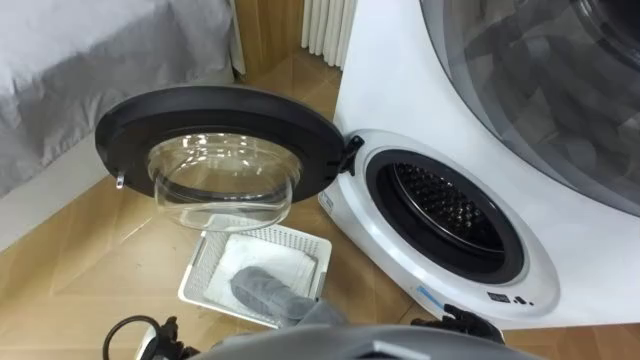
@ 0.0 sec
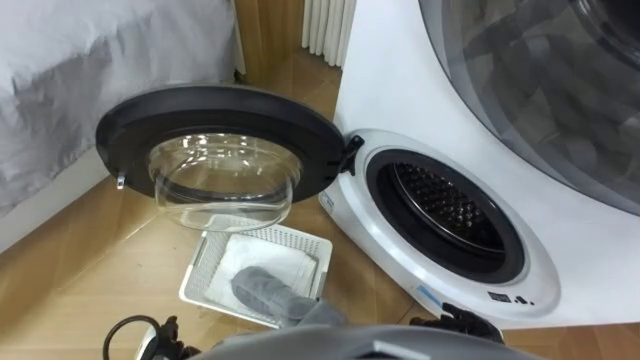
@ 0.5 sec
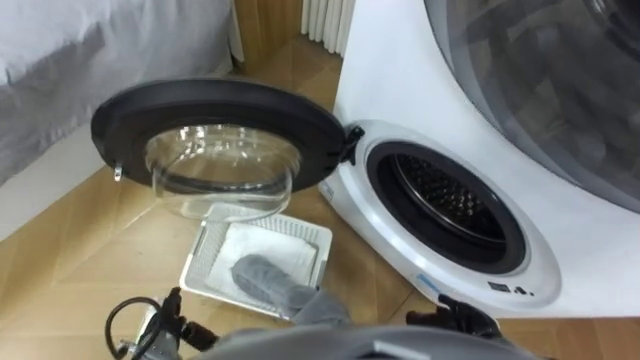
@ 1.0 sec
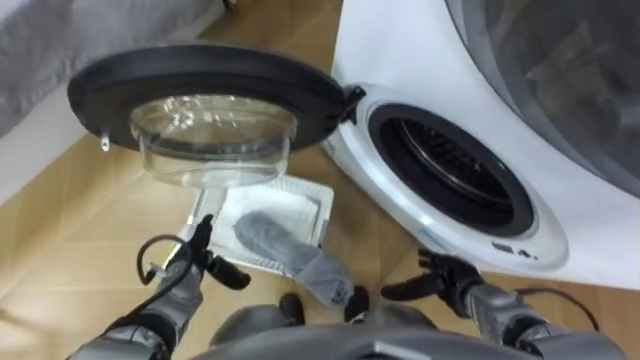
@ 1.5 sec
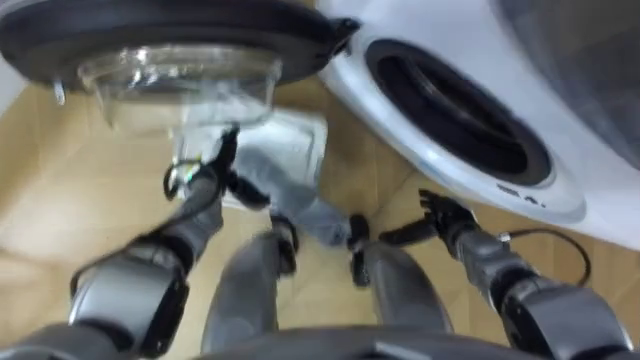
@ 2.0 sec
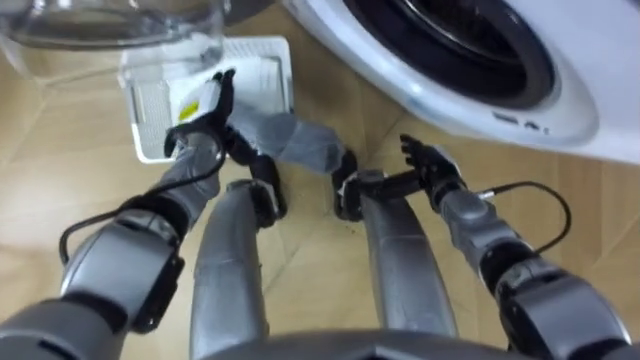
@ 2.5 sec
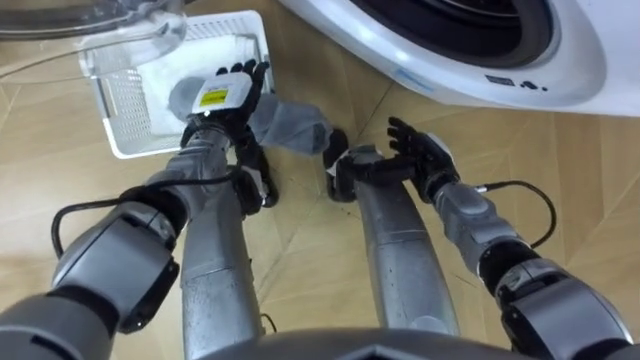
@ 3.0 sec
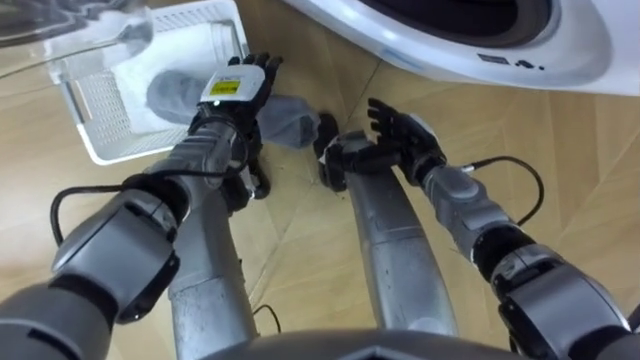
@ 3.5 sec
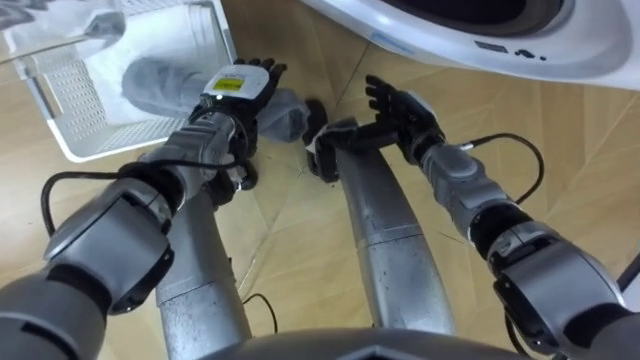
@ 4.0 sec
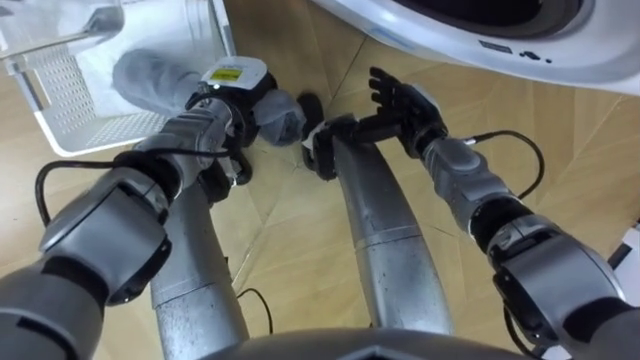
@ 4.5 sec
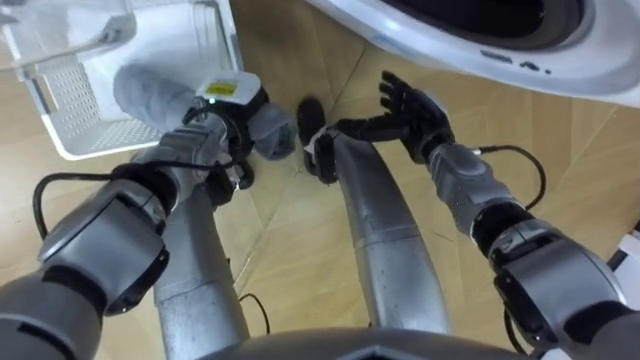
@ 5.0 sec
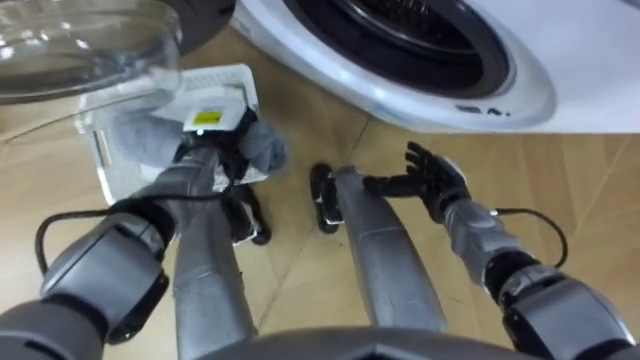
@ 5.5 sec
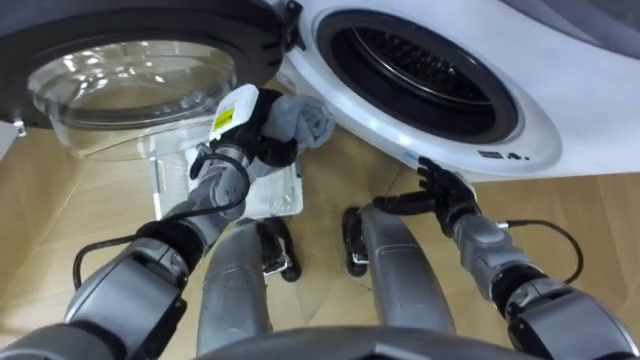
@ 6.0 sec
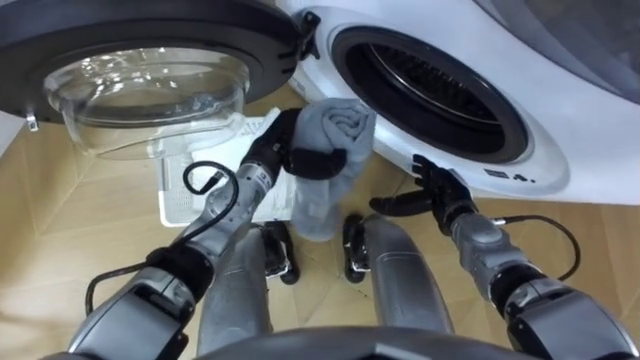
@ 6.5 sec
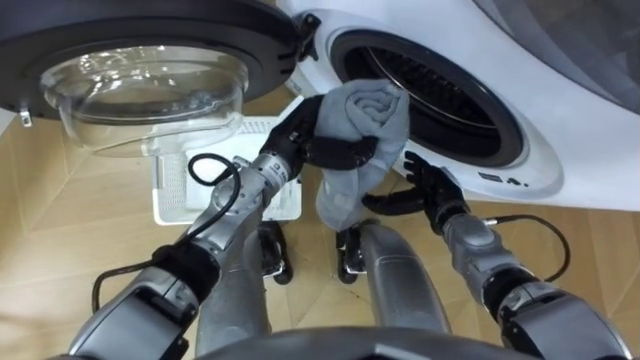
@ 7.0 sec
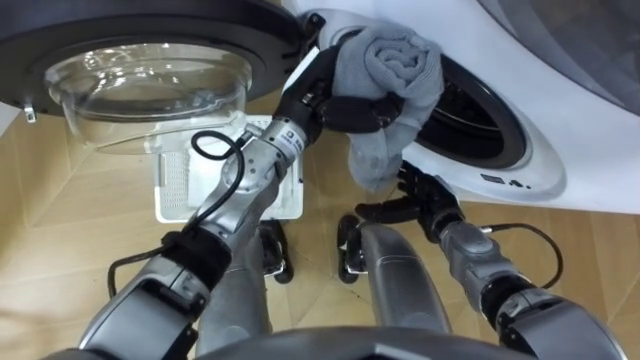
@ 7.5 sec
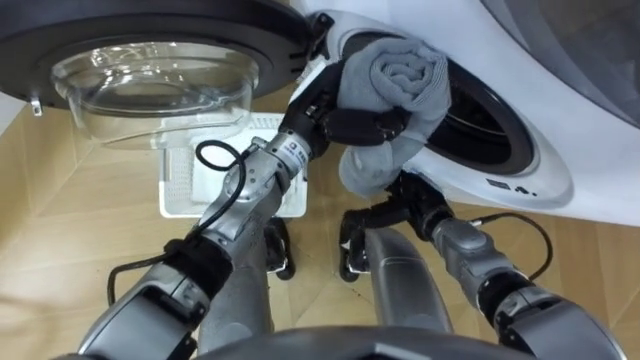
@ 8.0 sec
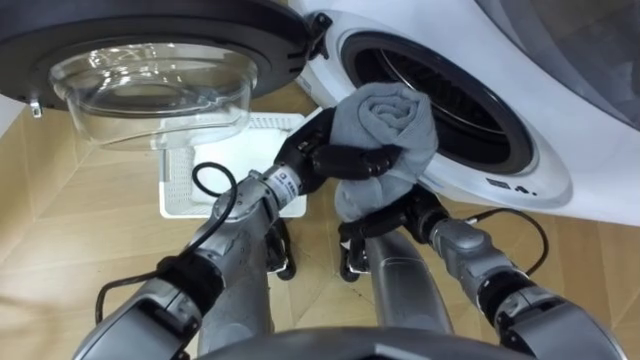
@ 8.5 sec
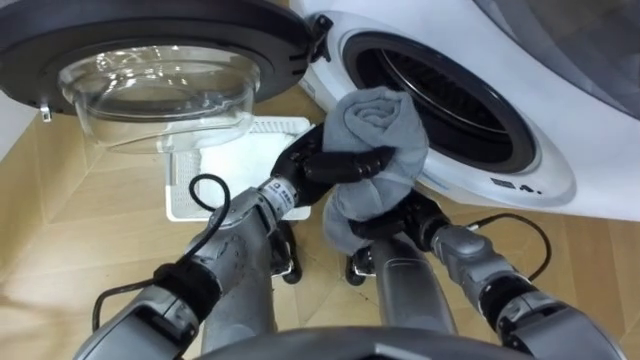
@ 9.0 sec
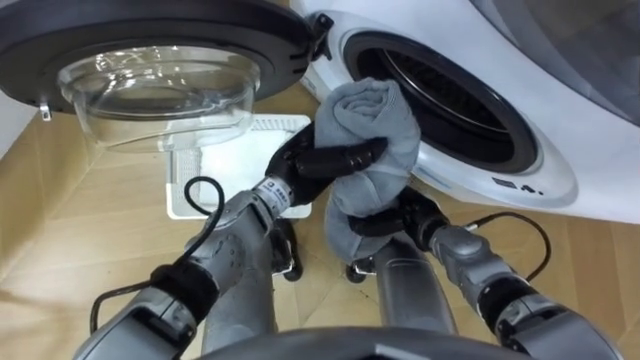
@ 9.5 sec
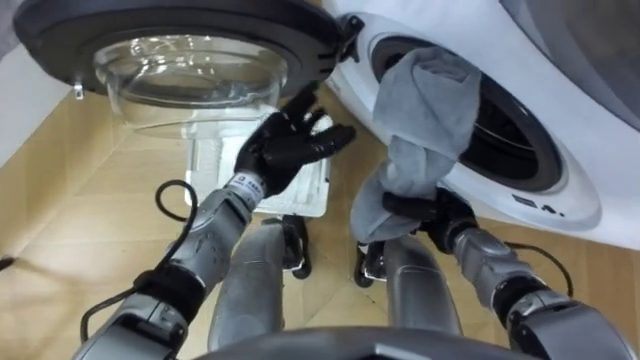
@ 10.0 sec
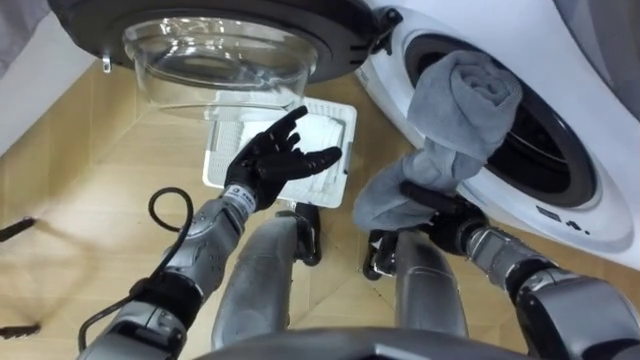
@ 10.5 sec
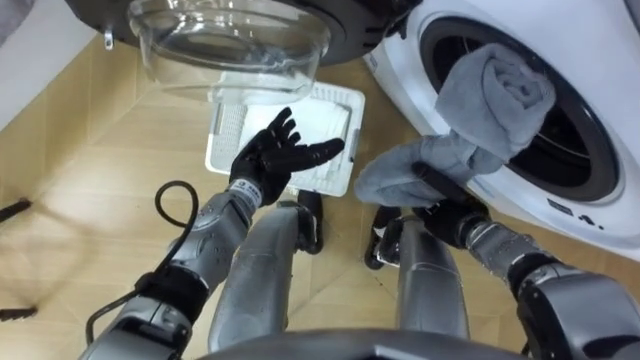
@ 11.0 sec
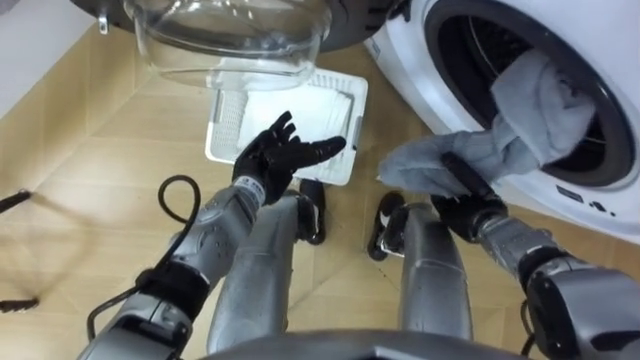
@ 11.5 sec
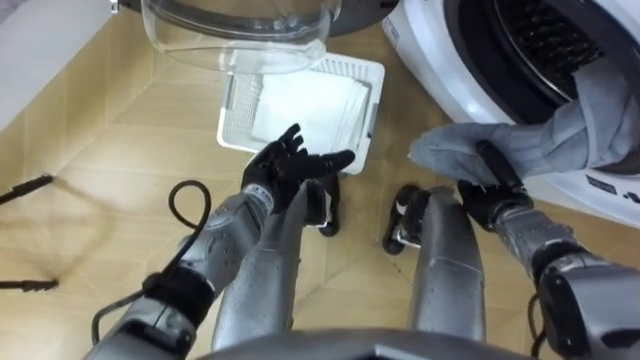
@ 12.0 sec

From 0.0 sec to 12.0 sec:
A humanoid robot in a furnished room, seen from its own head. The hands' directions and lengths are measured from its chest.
Task of the whole recording: Take the towel from the basket and put it into the washing machine.
From 2.0 sec to 4.0 sec: The left hand is displaced upward, forward and to the right by about 10 cm. The right hand travels forward, upward and to the left by some 20 cm.
From 4.0 sec to 6.0 sec: The left hand closes. The right hand shifts roughly 15 cm backward, downward and to the right.
From 6.0 sec to 8.0 sec: The left hand heads to the right and upward, covering about 15 cm.
From 8.0 sec to 10.0 sec: The right hand shifts by about 5 cm, and closes its fingers, while the left hand is displaced downward and to the left by some 10 cm, and opens.
From 10.0 sec to 12.0 sec: The right hand shifts about 10 cm to the right.

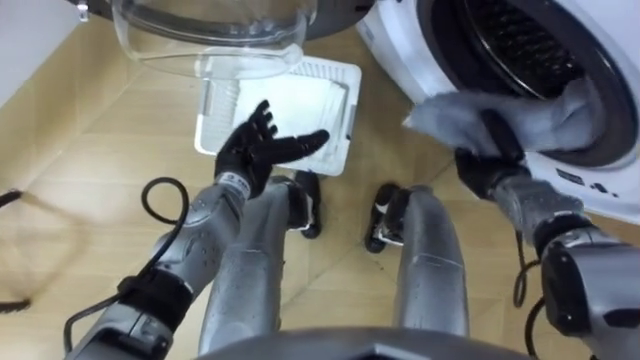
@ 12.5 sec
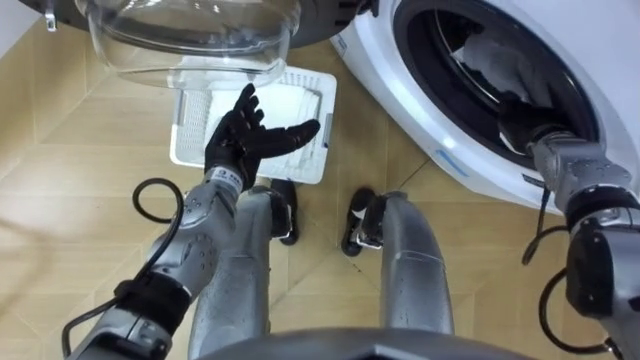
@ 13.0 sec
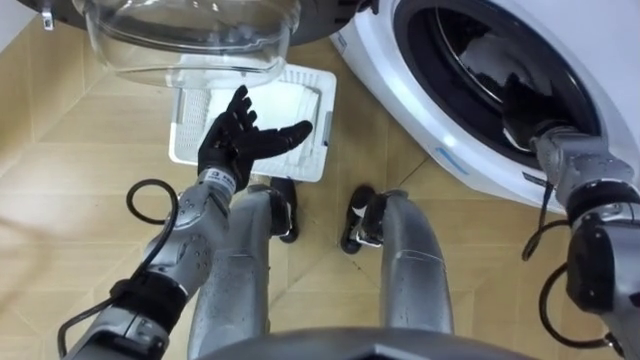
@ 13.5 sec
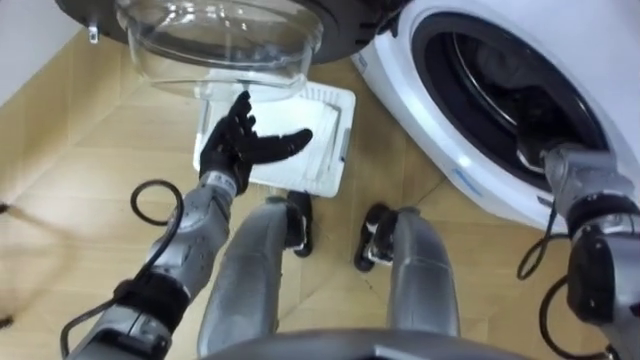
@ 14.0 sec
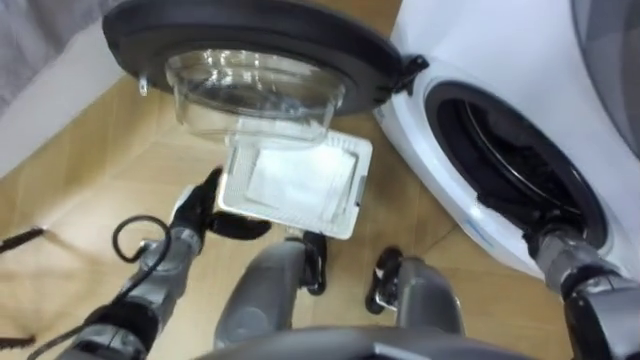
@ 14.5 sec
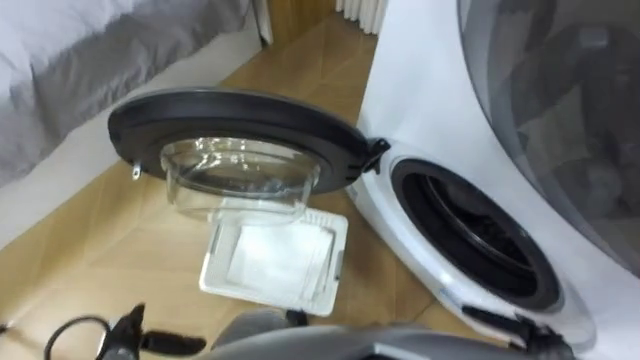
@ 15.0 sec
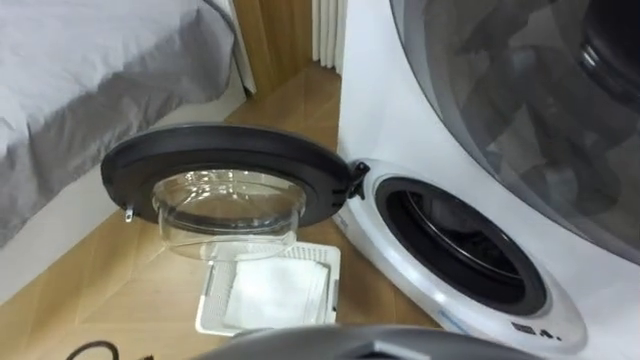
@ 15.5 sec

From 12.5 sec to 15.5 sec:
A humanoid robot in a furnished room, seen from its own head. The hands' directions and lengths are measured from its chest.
Task of the whole recording: Take the towel from the basket and put it into the washing machine.
From 12.5 sec to 14.0 sec: The right hand shifts roughly 5 cm to the right, and opens up.

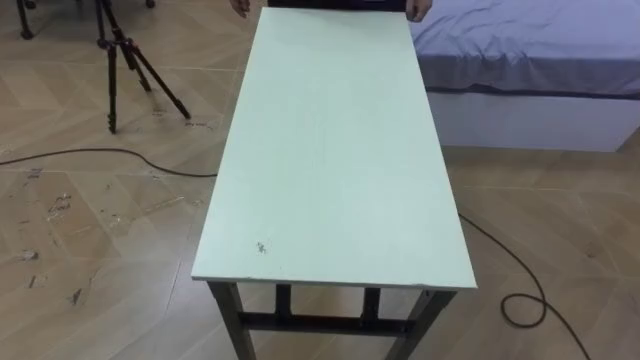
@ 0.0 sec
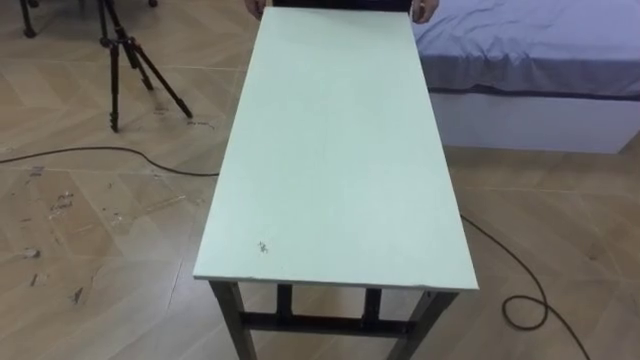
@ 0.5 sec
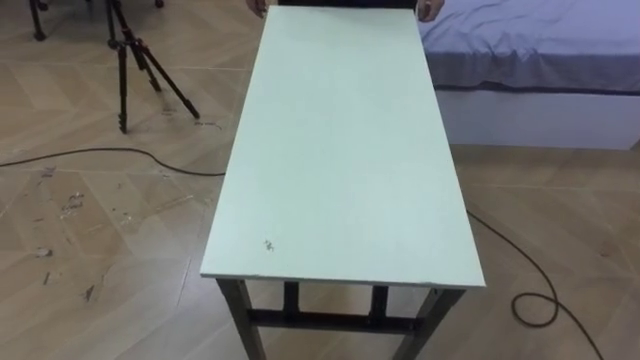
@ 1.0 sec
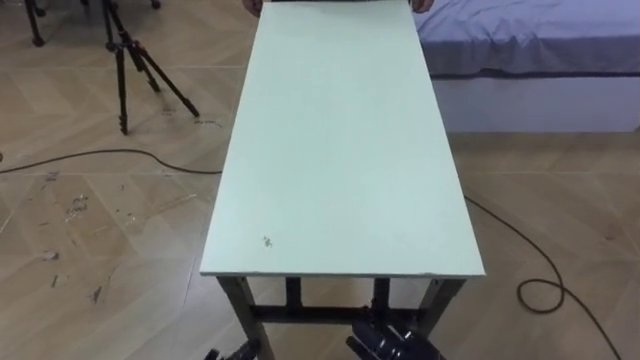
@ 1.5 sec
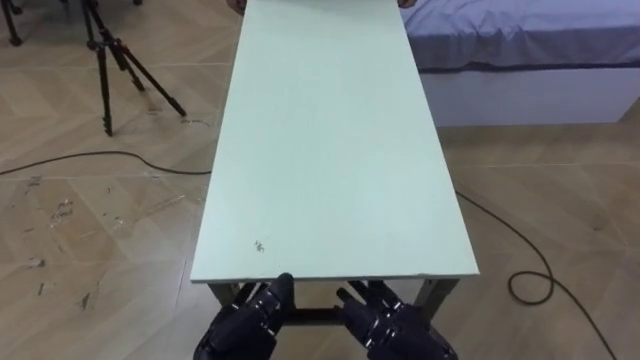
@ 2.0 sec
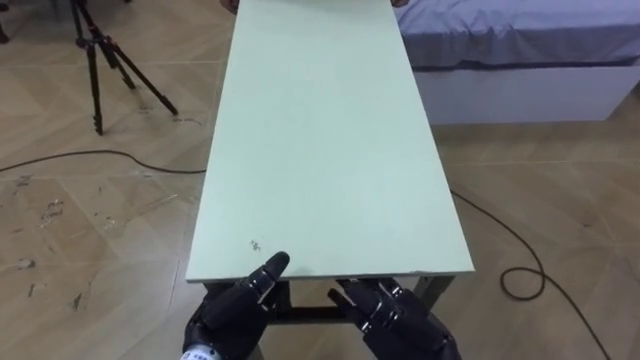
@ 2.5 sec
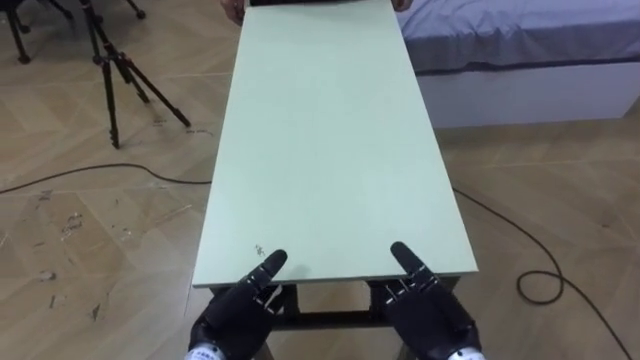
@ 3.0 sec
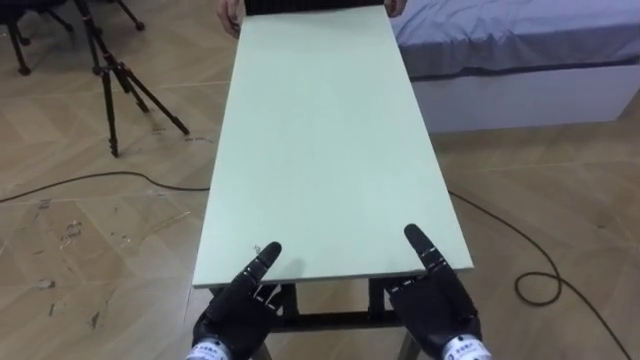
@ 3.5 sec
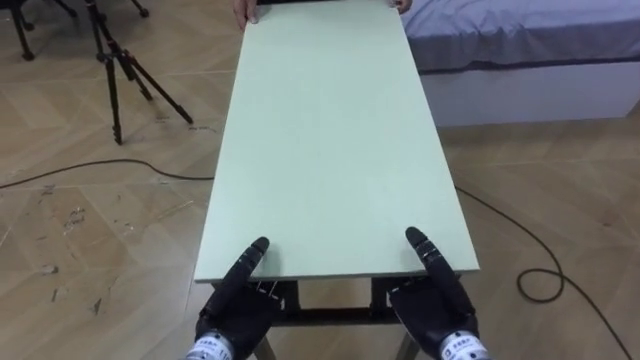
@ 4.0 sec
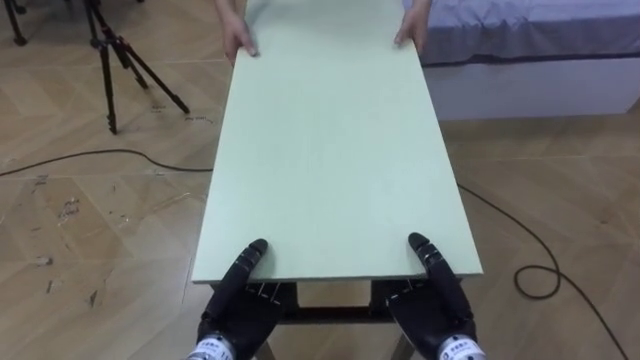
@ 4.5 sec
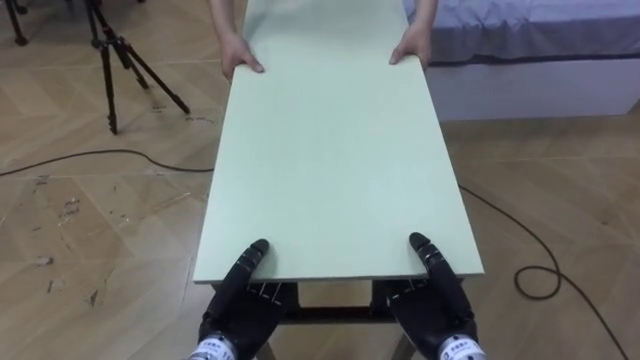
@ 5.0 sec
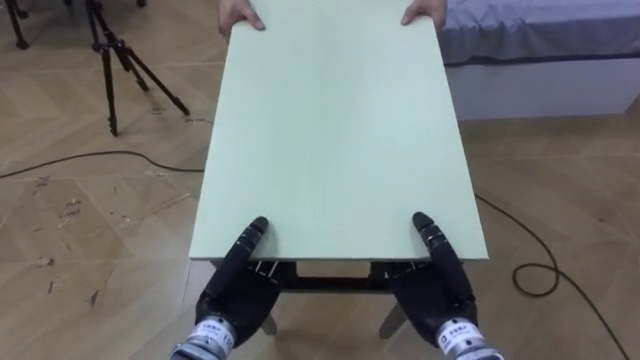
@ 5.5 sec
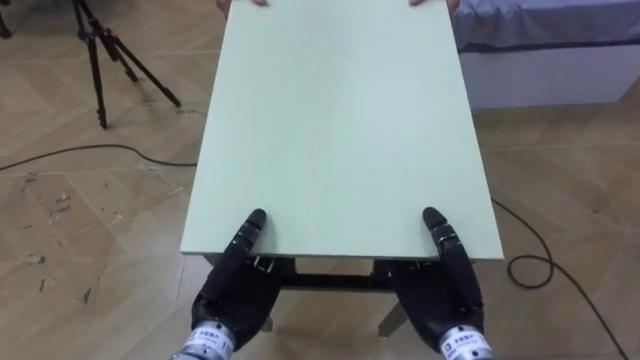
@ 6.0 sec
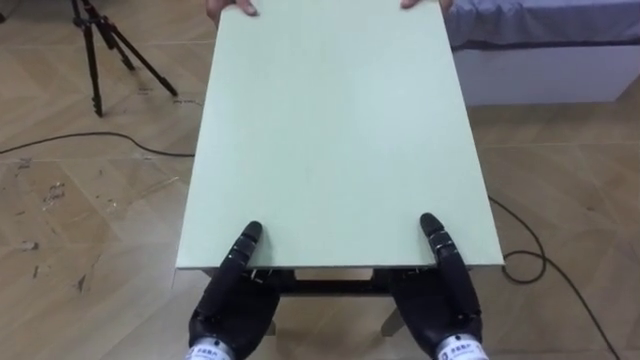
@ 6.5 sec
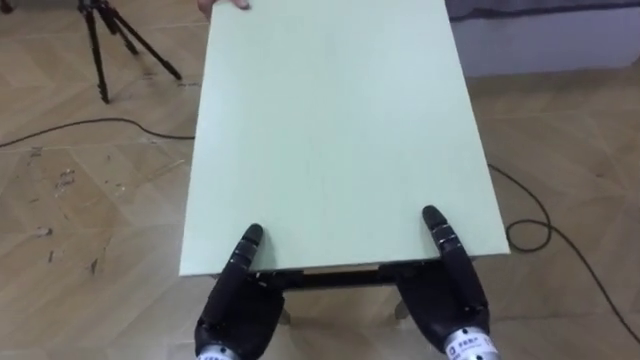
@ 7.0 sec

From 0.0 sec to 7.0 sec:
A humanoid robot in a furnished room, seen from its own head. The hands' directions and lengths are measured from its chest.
Task of the whole recording: Move the table to the back left with someone.
From 2.0 sec to 3.5 sec: The right hand ends up roughly 5 cm from where it was.
From 3.5 sec to 5.0 sec: The left hand closes its fingers; the right hand closes its fingers.
From 5.0 sec to 7.0 sec: The right hand heads upward, covering about 5 cm. The left hand shifts by some 5 cm.
